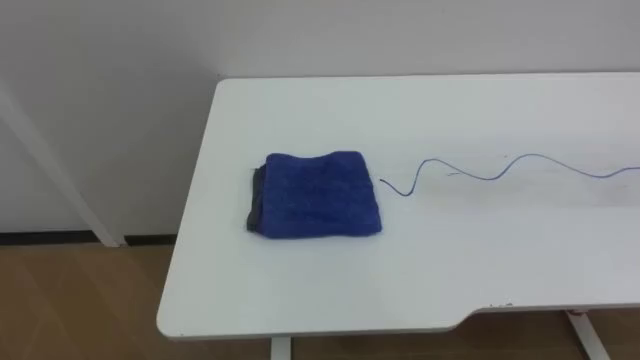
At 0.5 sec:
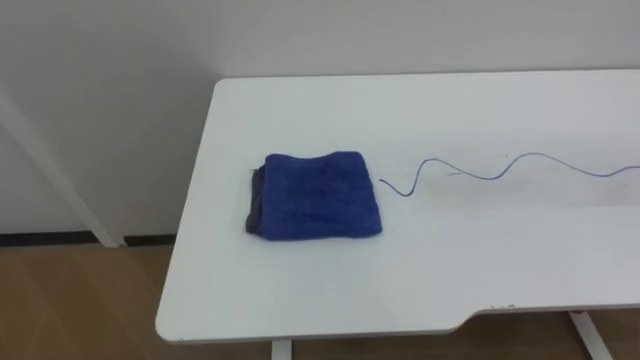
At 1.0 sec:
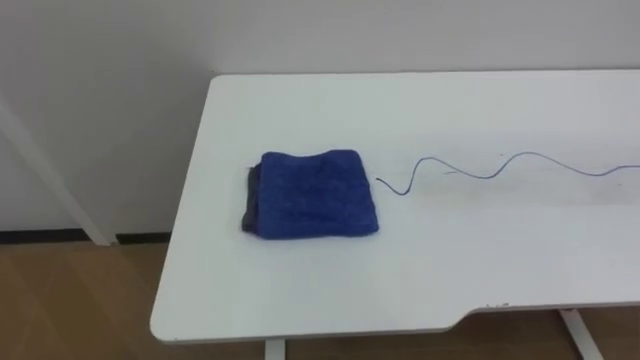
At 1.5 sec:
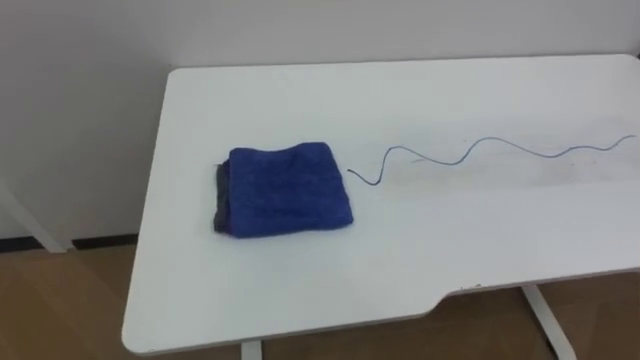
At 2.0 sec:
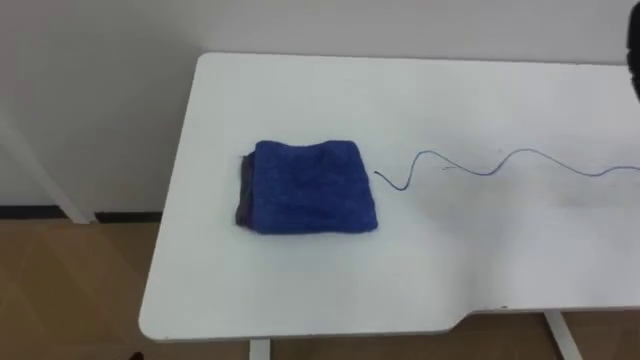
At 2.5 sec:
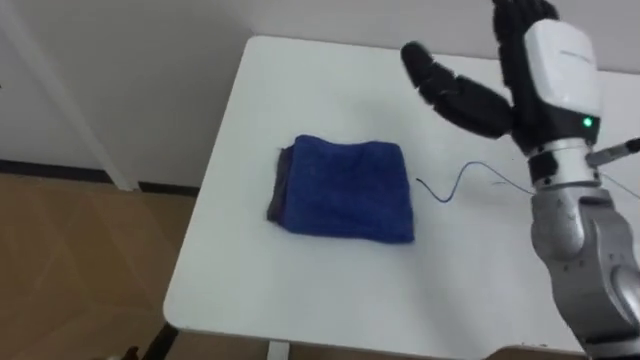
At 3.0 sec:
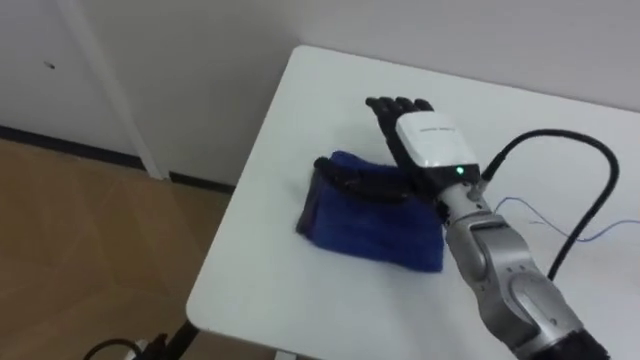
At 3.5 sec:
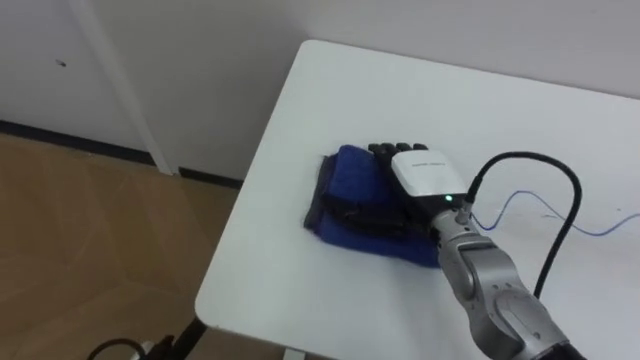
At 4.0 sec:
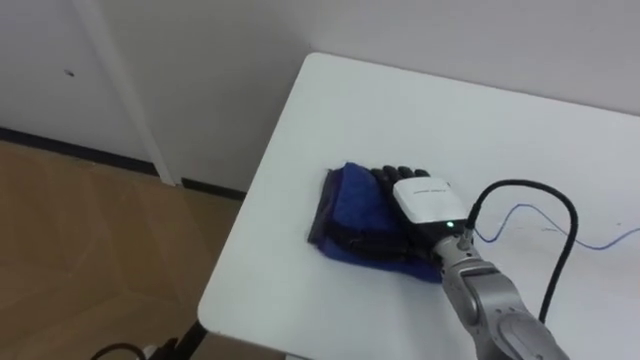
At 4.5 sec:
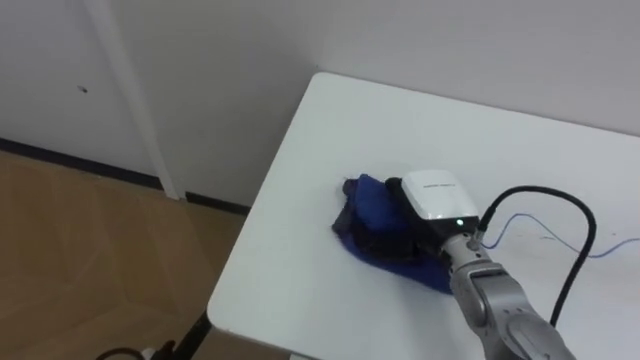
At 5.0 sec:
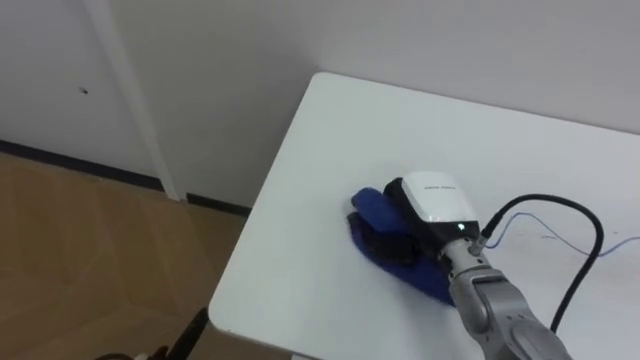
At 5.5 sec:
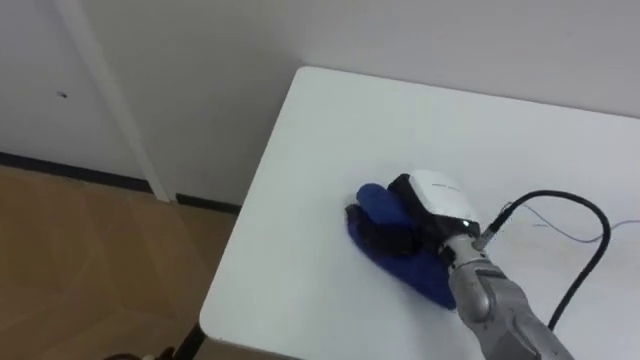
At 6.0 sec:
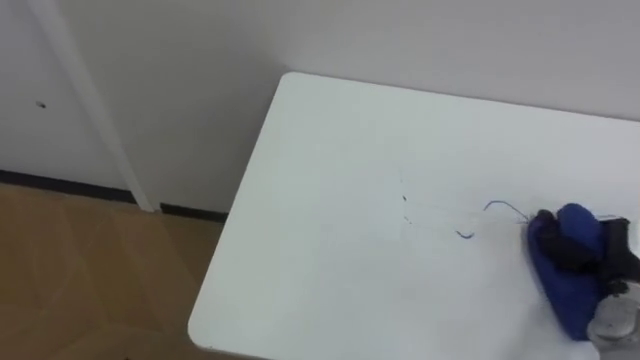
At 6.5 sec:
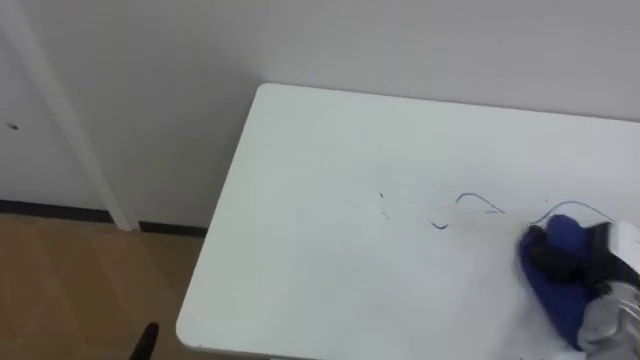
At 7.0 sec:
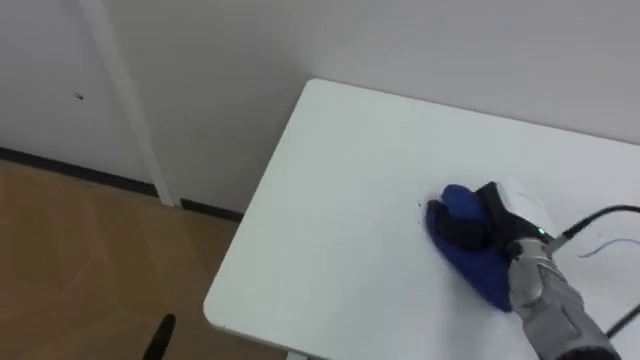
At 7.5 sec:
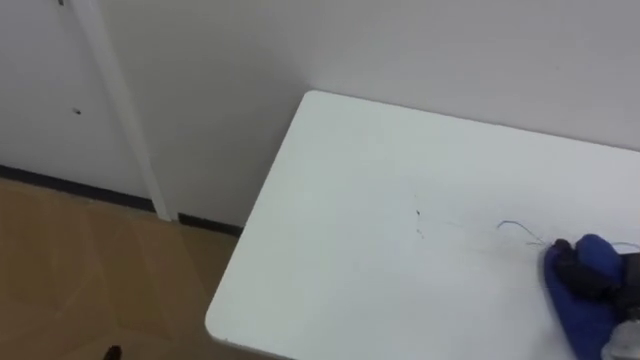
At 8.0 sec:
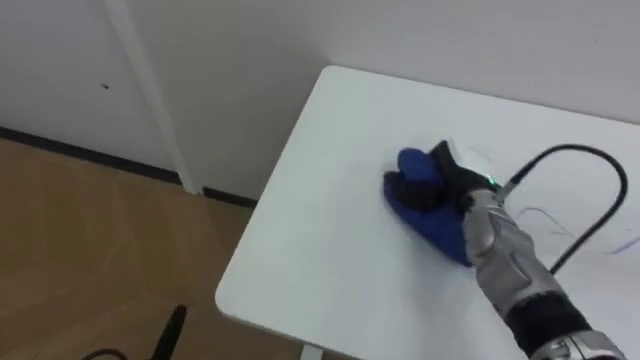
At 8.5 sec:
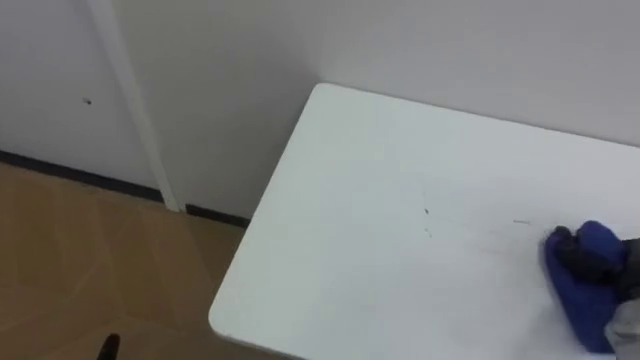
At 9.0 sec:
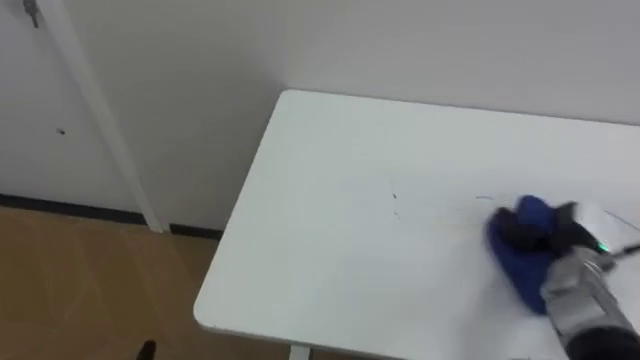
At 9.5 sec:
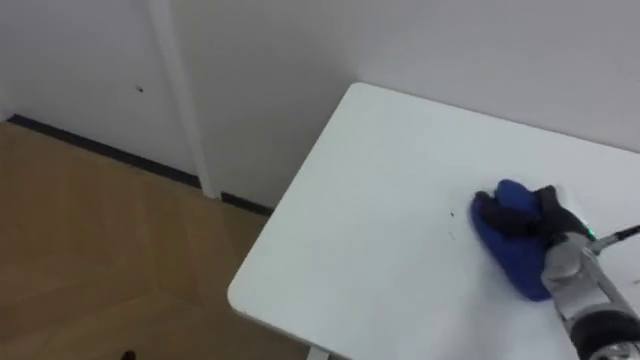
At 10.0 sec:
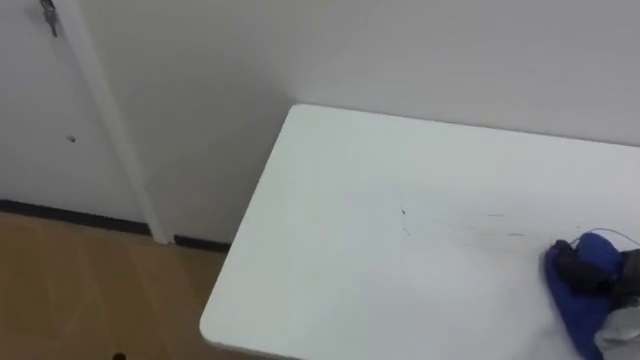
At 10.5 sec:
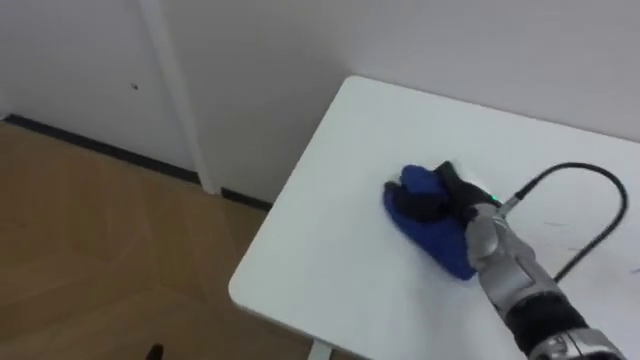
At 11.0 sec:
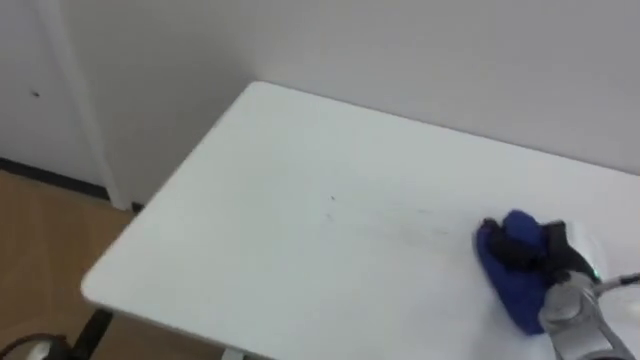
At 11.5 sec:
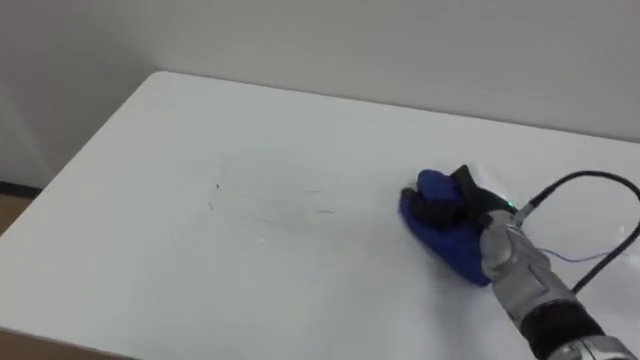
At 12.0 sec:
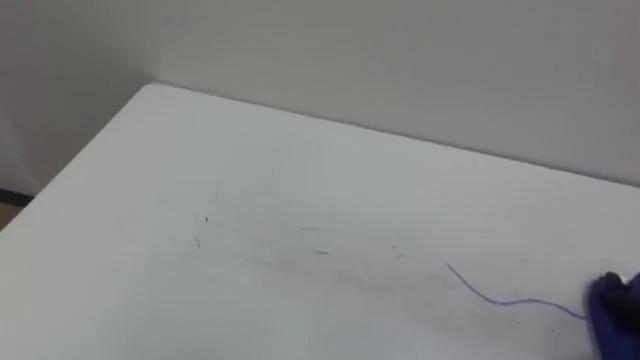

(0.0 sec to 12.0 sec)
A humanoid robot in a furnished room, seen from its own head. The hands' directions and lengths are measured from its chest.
Task of the whole recording: Wipe the blue pen marks off the table with the rag.
4.0 sec - 6.0 sec: The right hand is displaced to the right by roughly 25 cm, and closes its fingers.

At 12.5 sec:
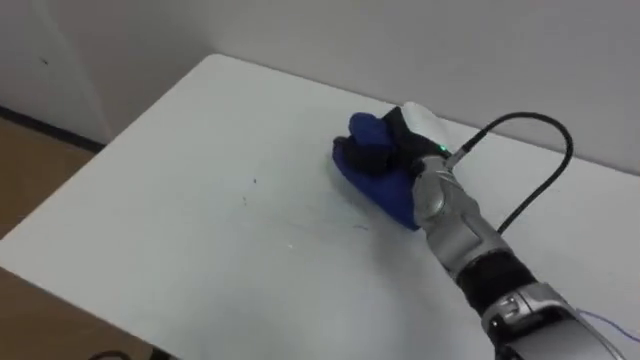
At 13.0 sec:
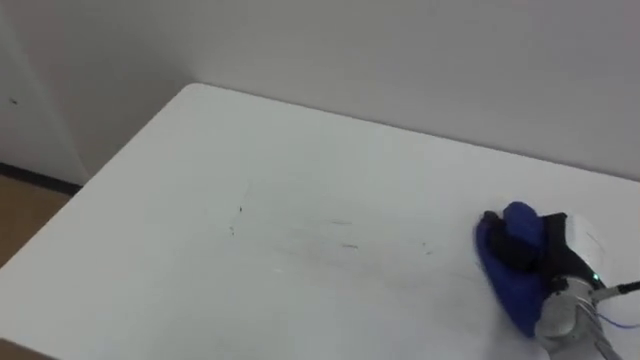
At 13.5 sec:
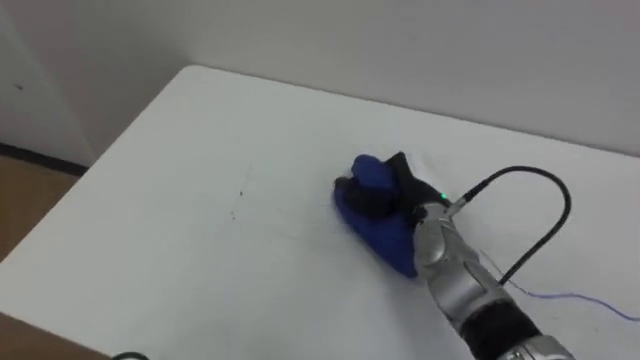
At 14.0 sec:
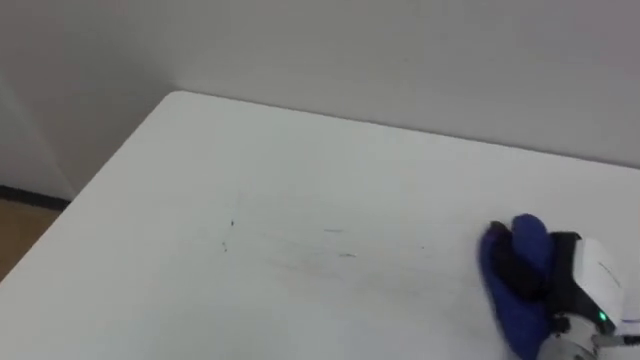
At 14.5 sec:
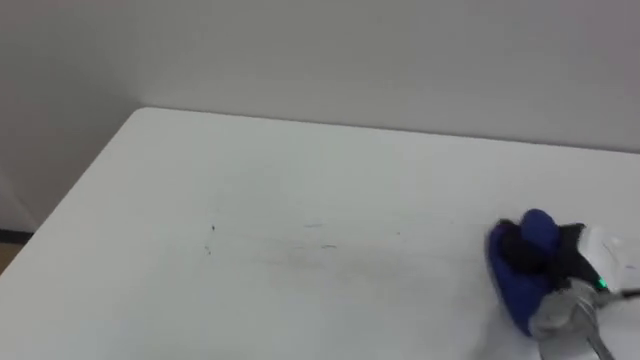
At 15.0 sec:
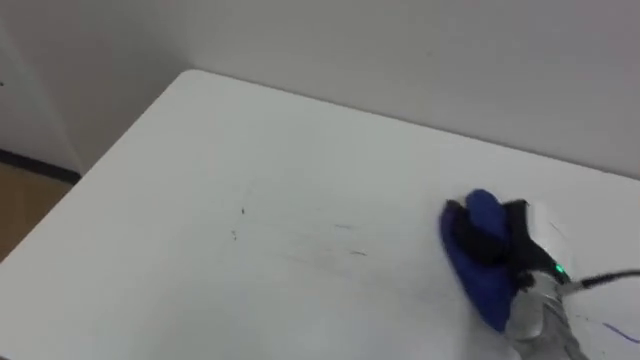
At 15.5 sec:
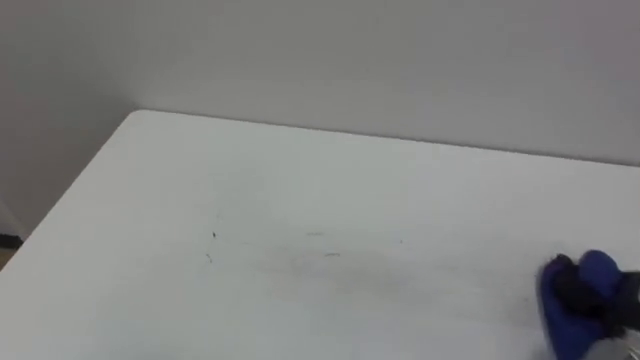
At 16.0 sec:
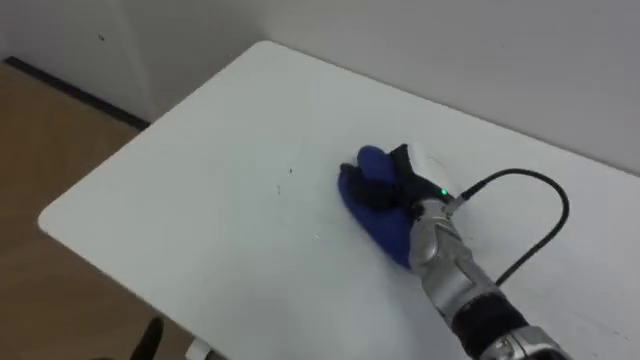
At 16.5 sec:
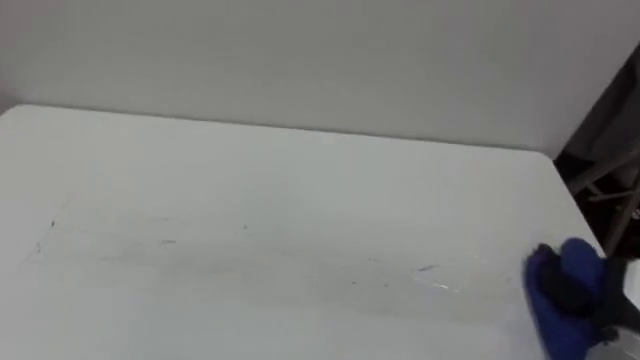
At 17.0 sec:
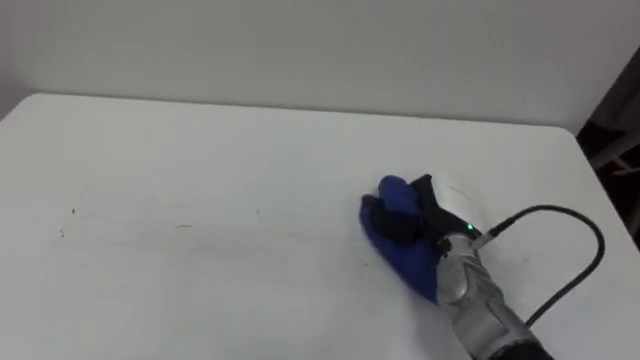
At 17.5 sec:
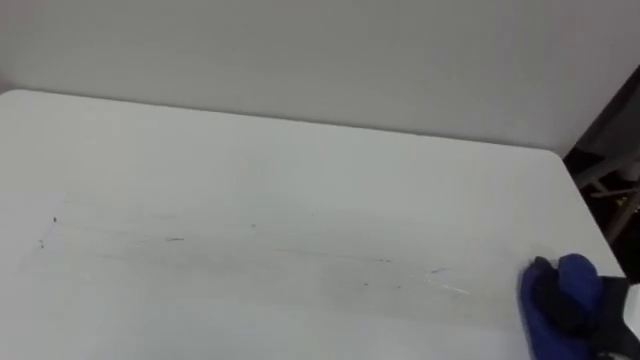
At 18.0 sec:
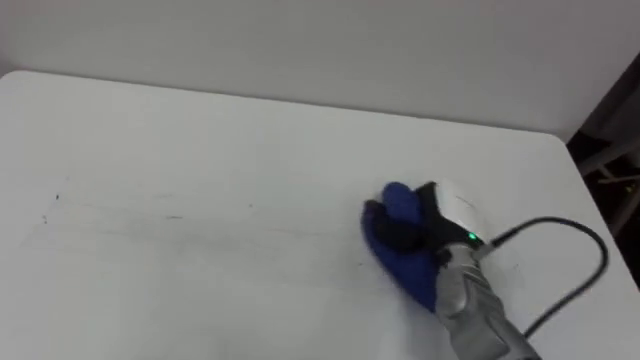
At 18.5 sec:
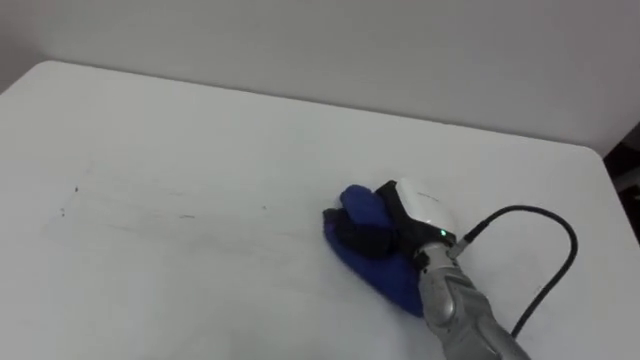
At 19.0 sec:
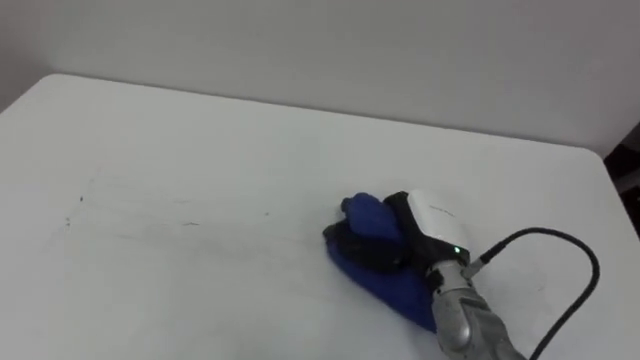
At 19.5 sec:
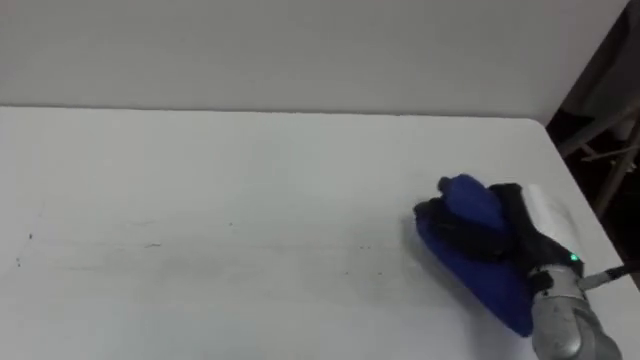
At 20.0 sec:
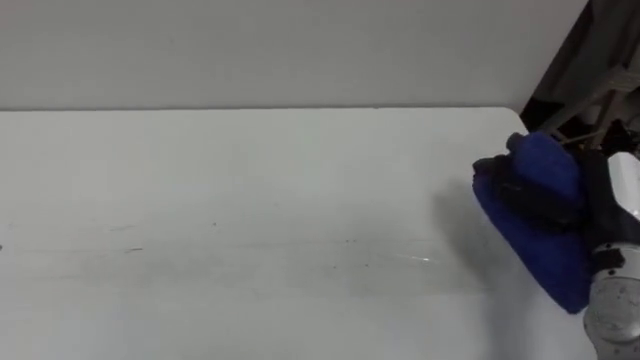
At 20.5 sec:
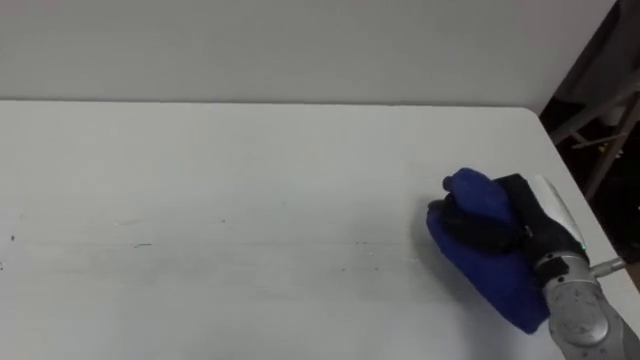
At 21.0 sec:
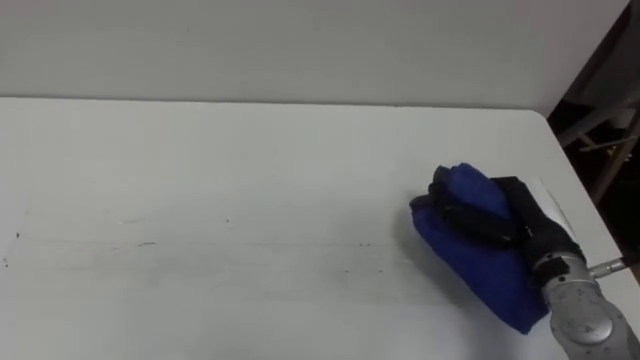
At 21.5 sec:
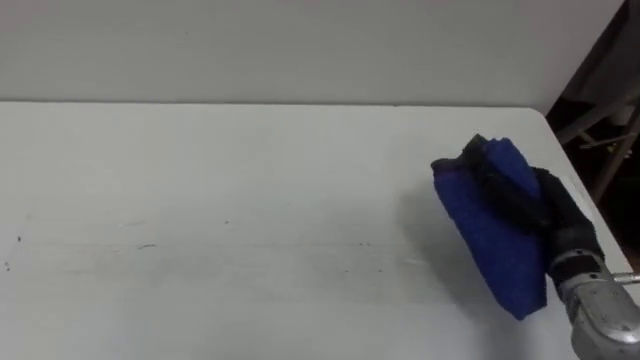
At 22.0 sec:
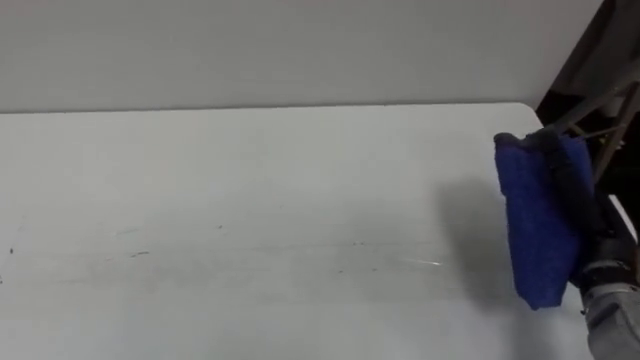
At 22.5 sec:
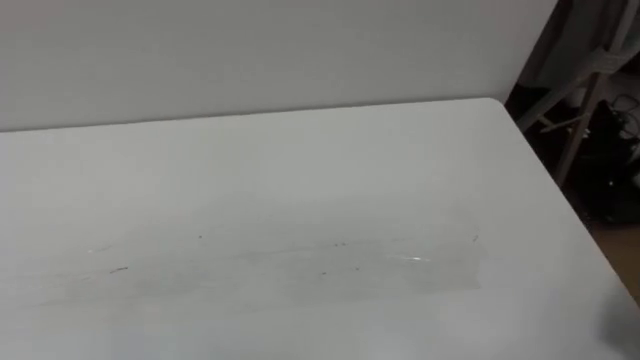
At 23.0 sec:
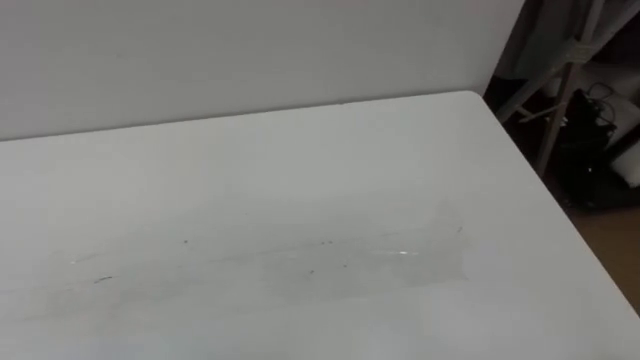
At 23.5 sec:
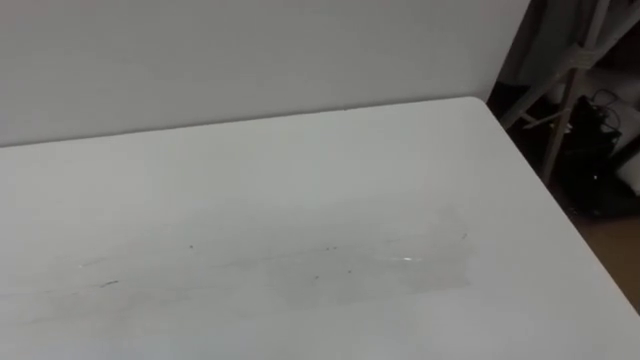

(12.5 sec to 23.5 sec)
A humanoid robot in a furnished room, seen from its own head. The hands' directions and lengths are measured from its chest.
Task of the whole recording: Wipe the blue pen marks off the table with the rag.
12.5 sec - 14.5 sec: The right hand moves left and right over about 20 cm, changing direction 2 times.
16.0 sec - 18.0 sec: The right hand goes left and right, about 25 cm each way, reversing 3 times.
18.0 sec - 20.0 sec: The right hand shifts approximately 15 cm to the right and upward.
20.0 sec - 21.5 sec: The right hand moves roughly 5 cm.
